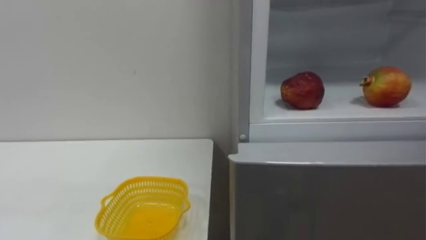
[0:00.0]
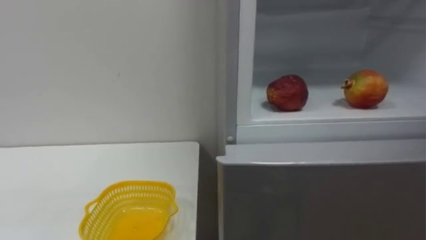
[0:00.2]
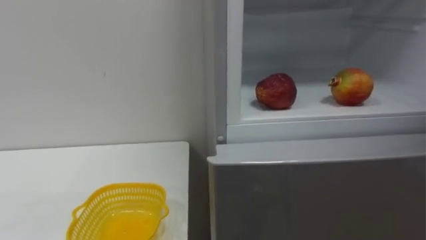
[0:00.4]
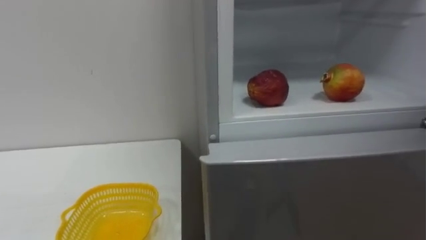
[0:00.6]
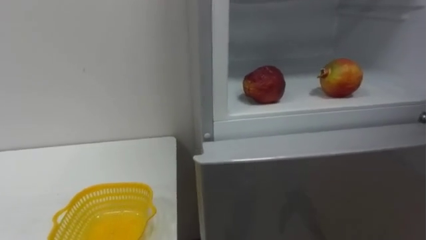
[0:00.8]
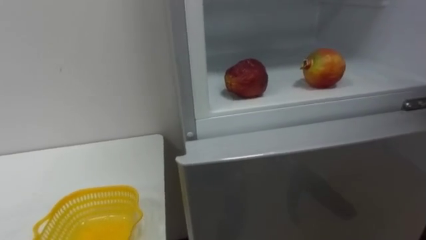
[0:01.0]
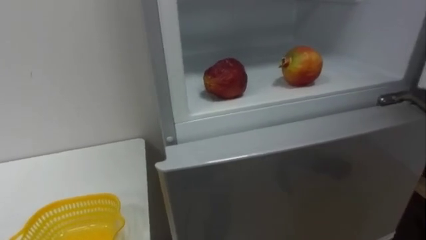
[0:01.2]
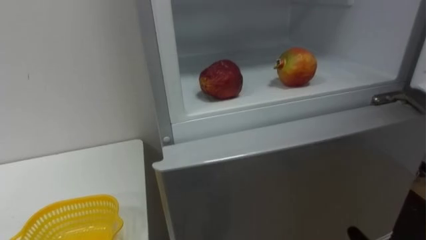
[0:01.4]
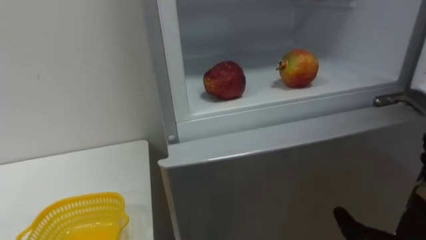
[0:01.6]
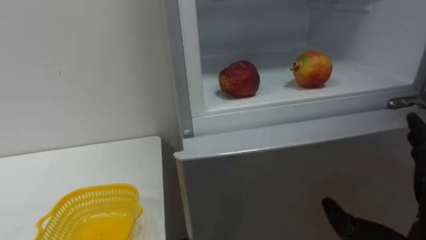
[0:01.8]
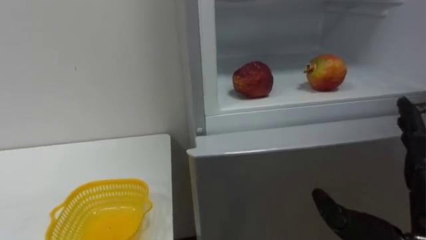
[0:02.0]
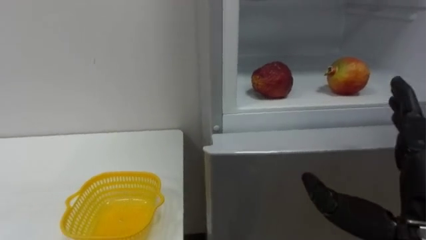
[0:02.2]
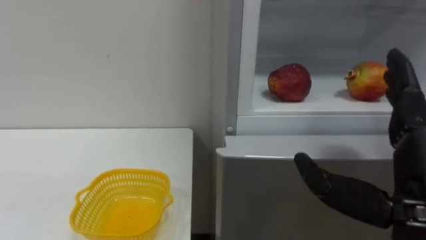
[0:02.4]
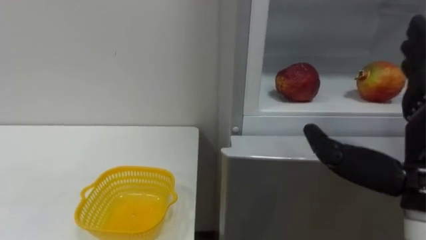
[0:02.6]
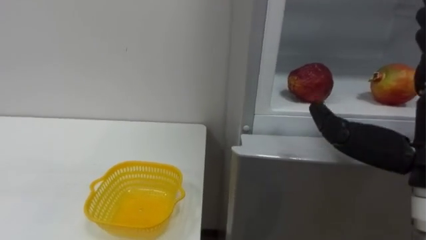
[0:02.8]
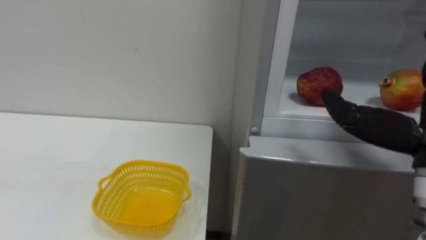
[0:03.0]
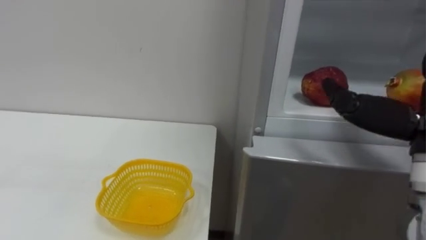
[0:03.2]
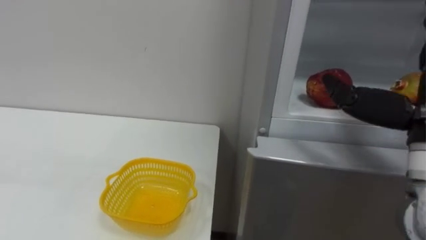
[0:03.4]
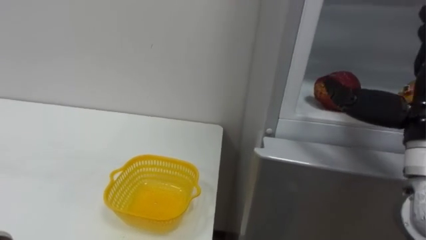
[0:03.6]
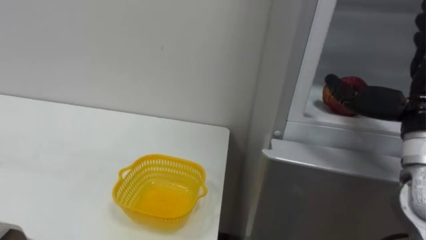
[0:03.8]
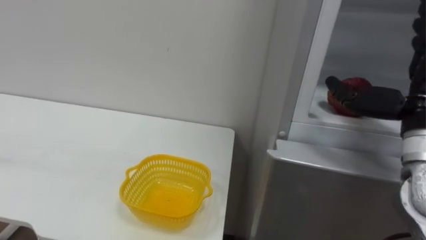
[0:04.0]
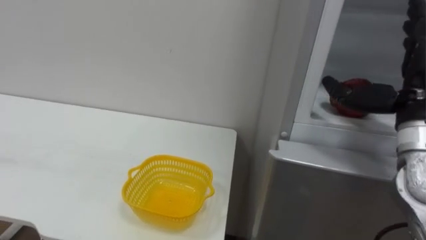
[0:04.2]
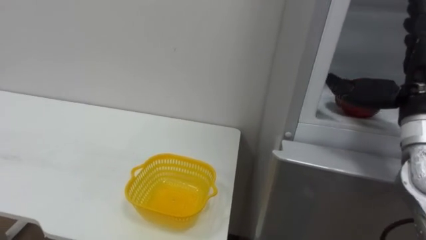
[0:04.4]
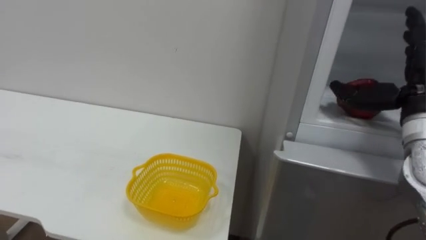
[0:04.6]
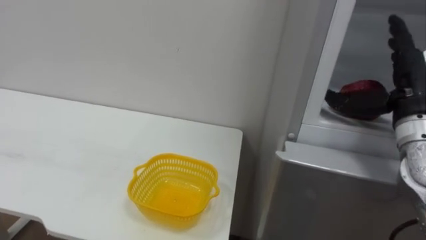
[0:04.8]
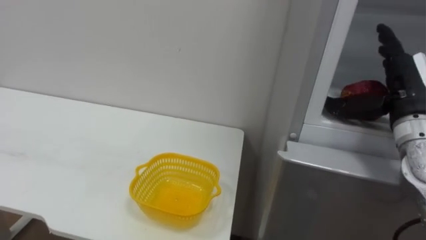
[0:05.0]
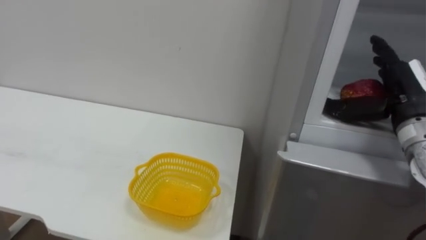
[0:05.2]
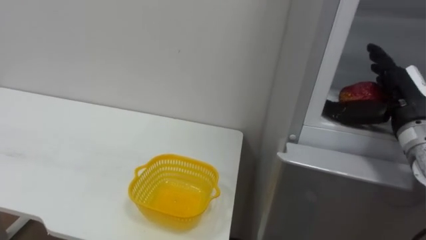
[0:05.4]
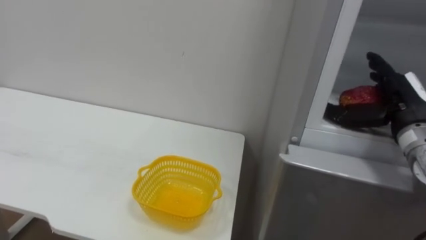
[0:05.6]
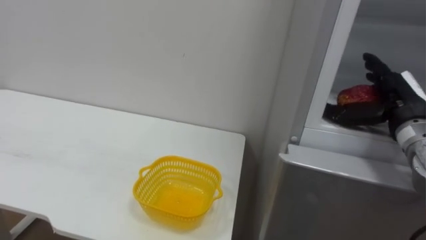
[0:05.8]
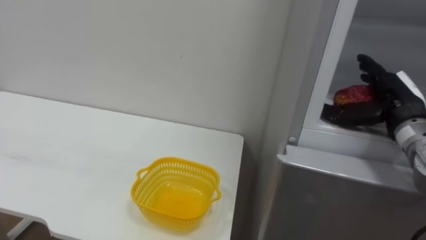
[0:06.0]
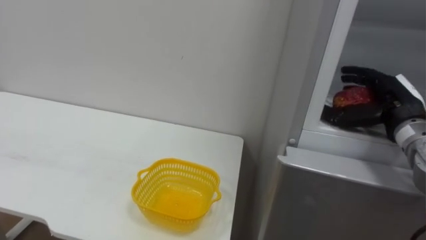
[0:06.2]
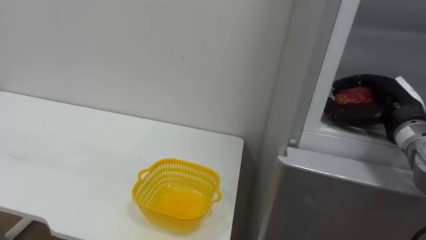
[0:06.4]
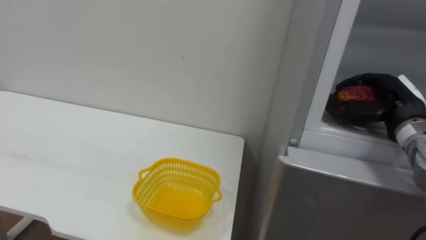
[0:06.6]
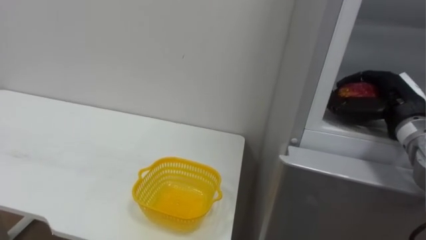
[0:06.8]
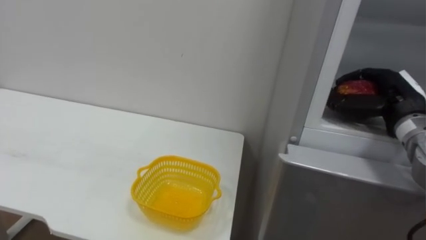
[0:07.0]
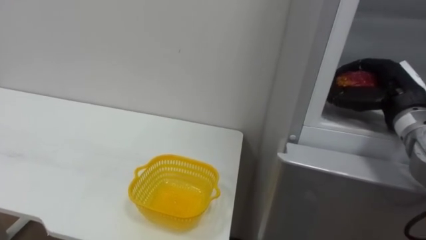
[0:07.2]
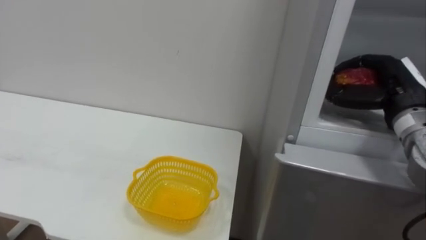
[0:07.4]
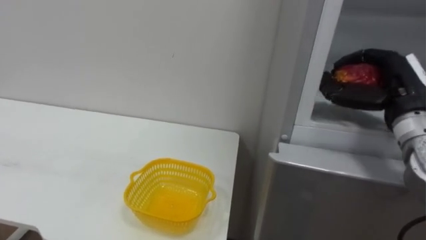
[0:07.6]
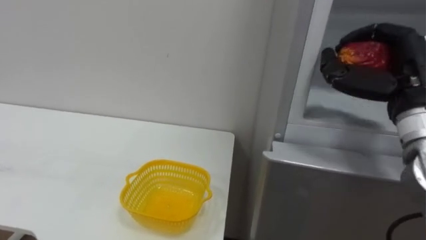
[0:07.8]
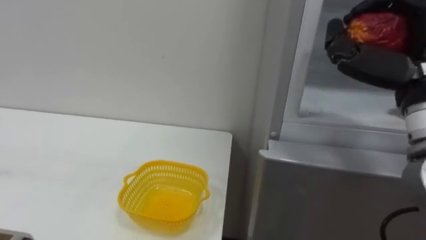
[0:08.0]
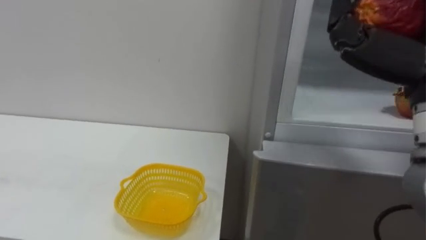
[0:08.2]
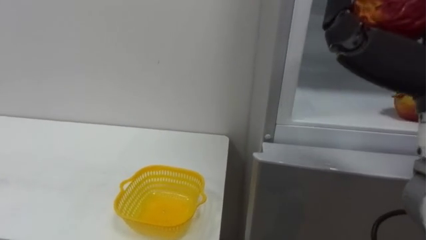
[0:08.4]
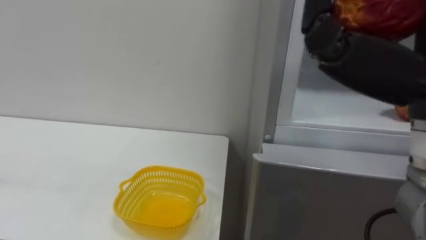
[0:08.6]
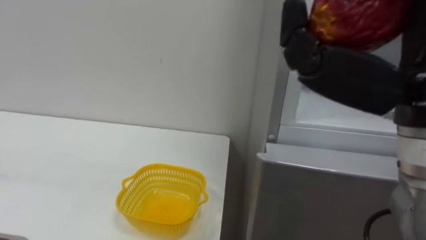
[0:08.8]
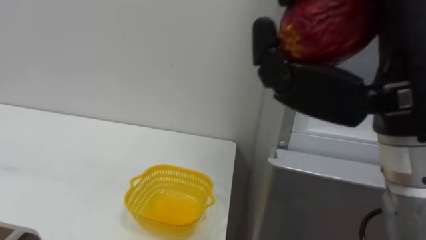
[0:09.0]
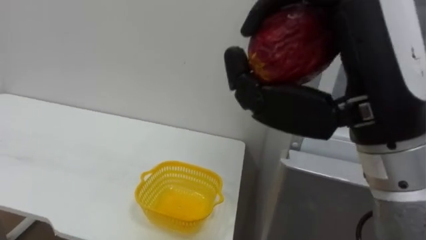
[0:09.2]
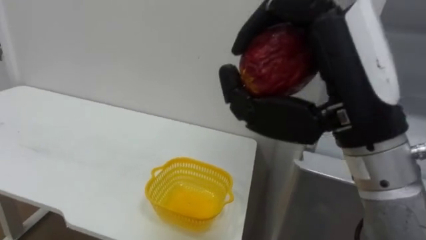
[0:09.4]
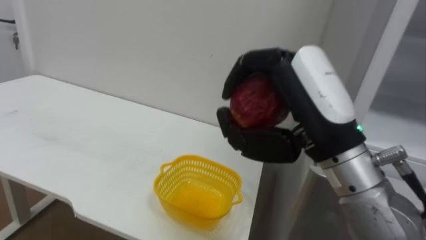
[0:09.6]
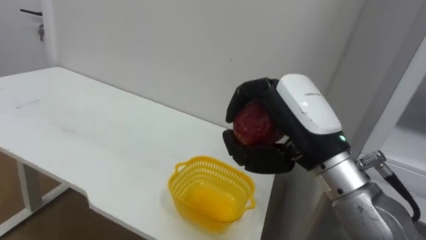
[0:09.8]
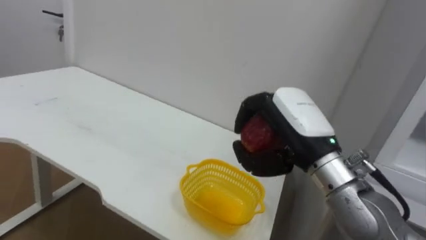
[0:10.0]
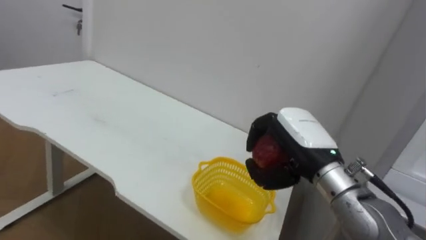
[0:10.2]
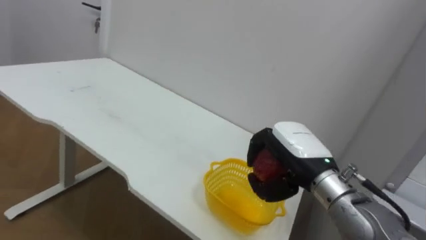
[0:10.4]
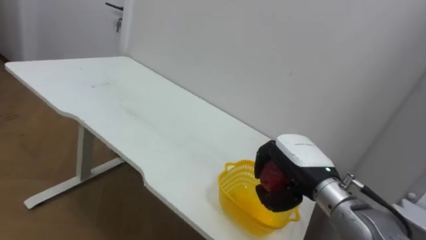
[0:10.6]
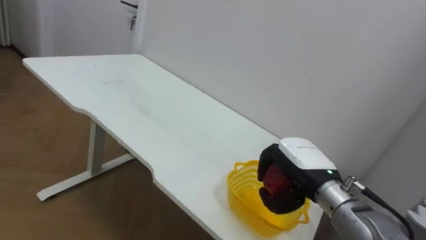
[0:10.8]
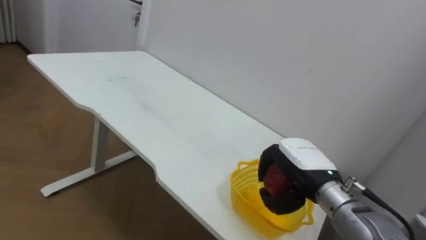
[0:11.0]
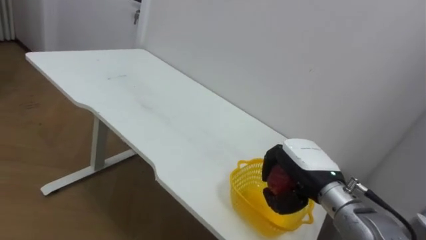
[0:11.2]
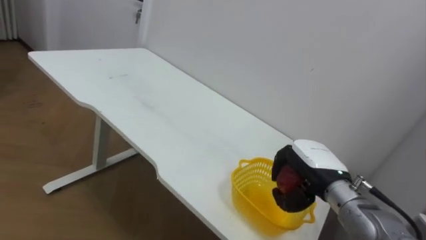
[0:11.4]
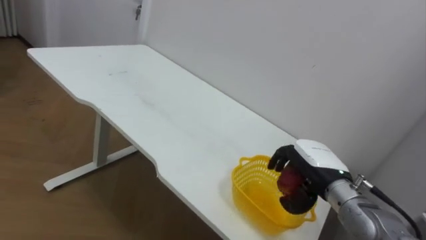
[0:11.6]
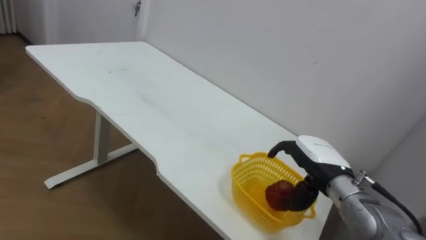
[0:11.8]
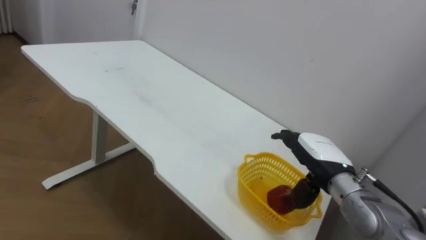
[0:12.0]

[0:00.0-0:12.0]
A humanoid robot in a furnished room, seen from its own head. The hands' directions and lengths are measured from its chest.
Task of the whole recording: Open the refrigerator door, take out the apple and the pomegranate, place them in the fruit basket on the left, and close the refrigerator door.
0:04.4 to 0:06.0: The right hand moves downward and forward, roughly 10 cm.
0:06.0 to 0:07.6: The right hand closes.
0:09.0 to 0:10.4: The right hand heads downward and forward, covering some 25 cm.
0:10.4 to 0:12.0: The right hand travels downward by some 5 cm, and opens.

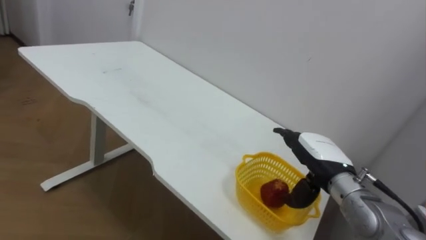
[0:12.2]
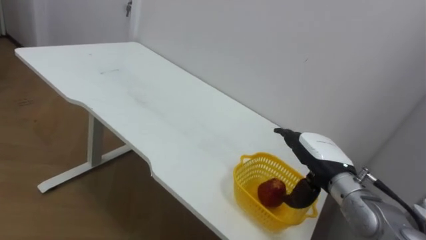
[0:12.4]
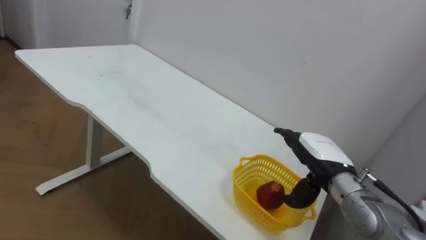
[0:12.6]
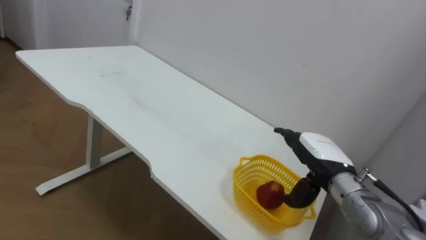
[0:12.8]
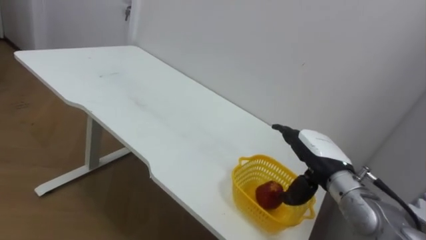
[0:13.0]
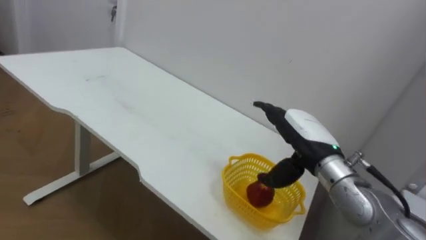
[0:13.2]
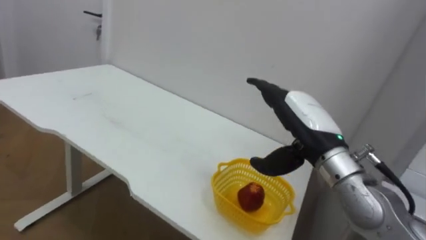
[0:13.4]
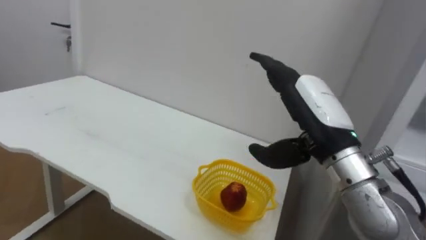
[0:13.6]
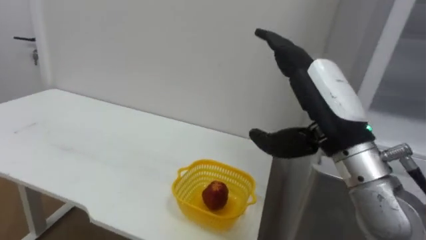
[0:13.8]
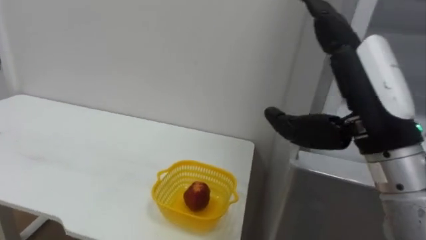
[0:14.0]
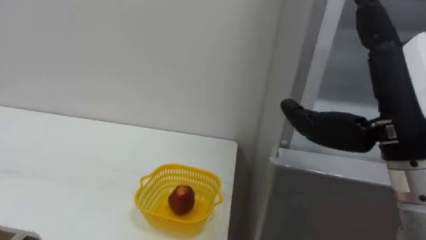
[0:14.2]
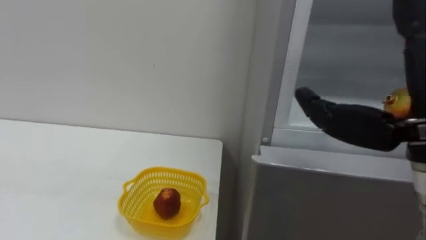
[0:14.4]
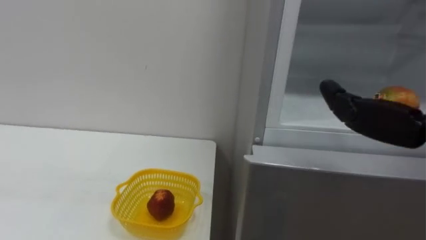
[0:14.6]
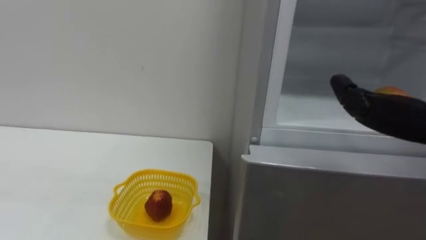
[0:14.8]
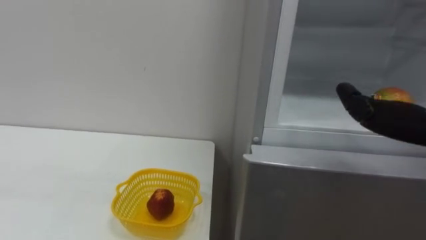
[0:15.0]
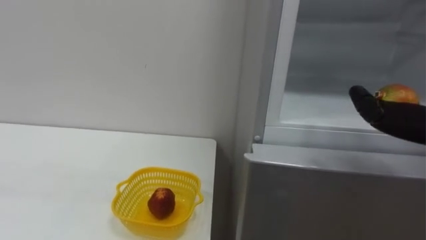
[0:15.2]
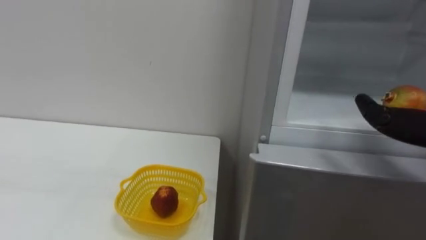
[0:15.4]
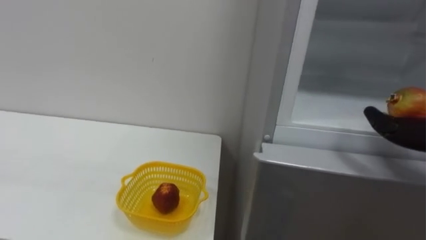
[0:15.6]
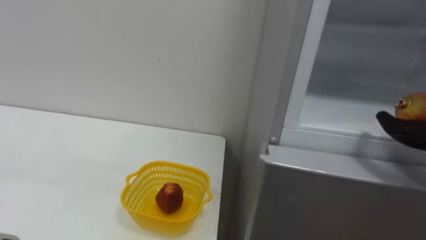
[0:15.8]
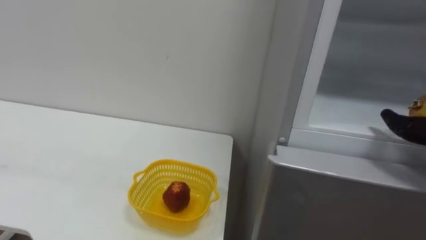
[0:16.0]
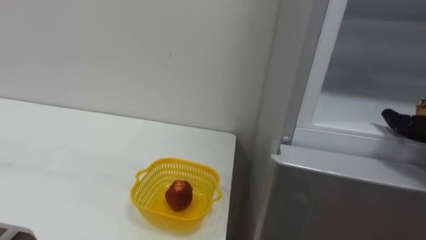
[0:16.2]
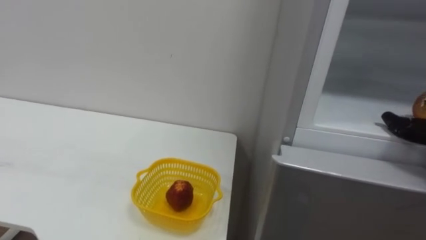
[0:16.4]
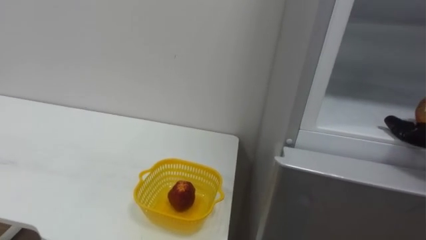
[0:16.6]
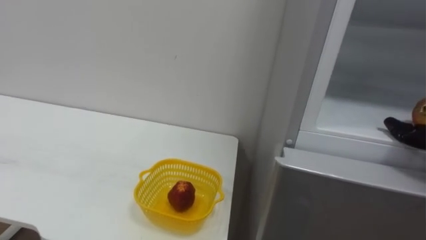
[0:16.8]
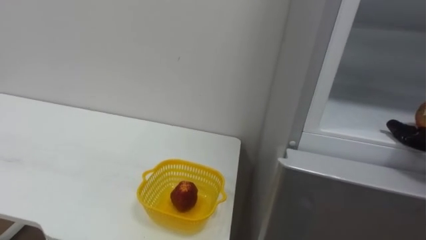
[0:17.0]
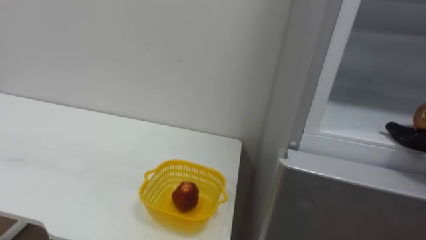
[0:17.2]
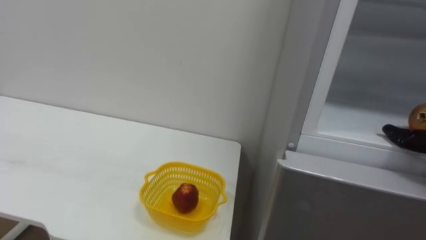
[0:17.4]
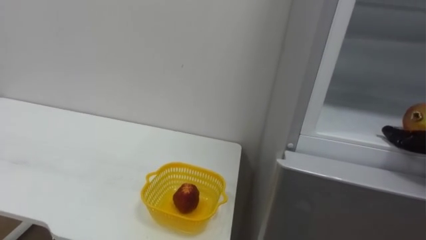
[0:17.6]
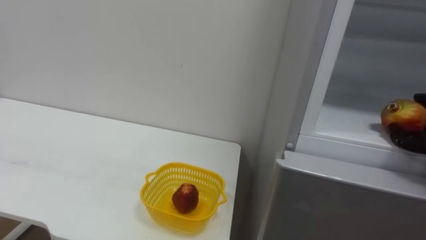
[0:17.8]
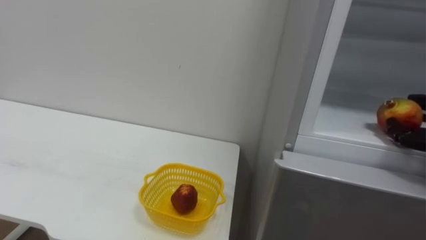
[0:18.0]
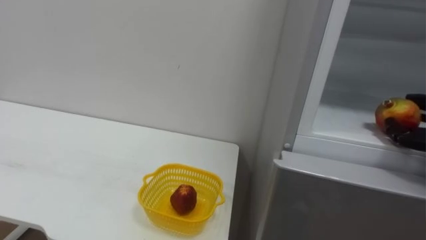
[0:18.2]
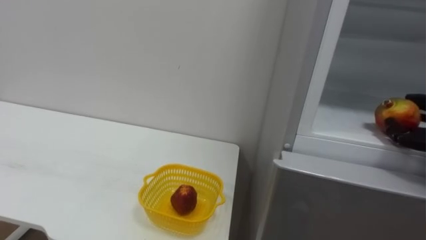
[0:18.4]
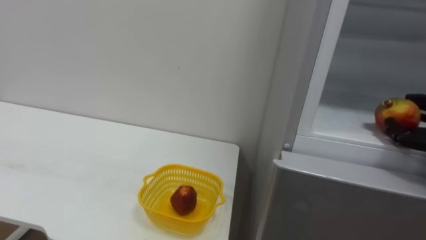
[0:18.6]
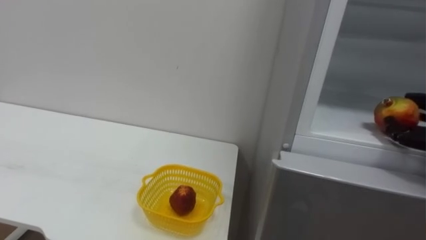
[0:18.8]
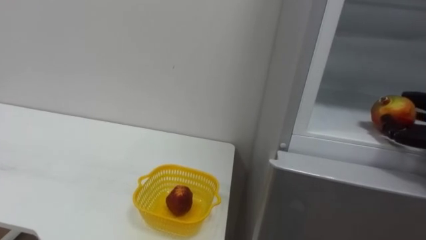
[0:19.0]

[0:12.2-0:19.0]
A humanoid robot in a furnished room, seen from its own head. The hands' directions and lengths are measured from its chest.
Task of the whole recording: Open the refrigerator door, take out the apple and the pomegranate, place them in the fruit basket on the left, and close the refrigerator door.
0:12.2 to 0:13.6: The right hand is displaced upward and backward by roughly 15 cm.
